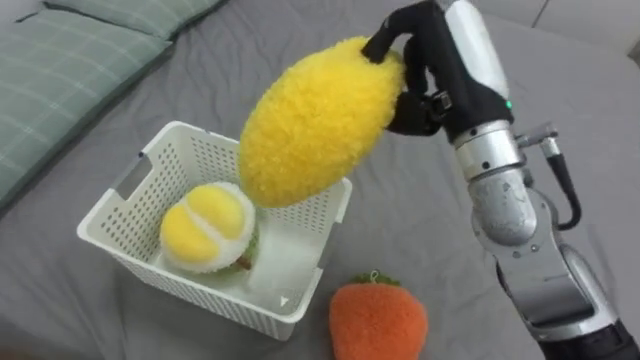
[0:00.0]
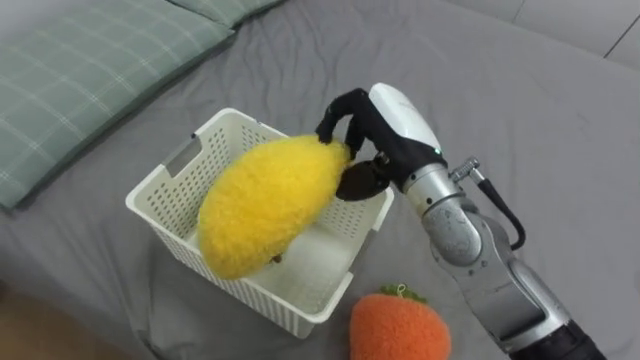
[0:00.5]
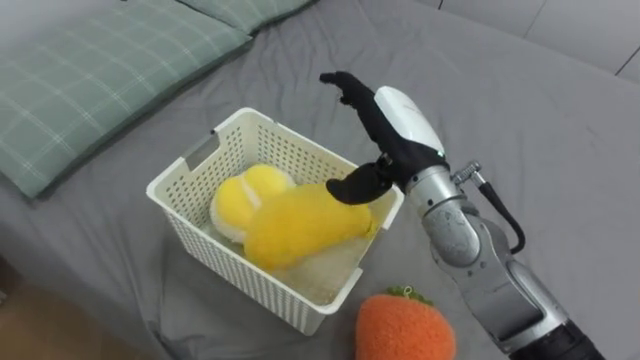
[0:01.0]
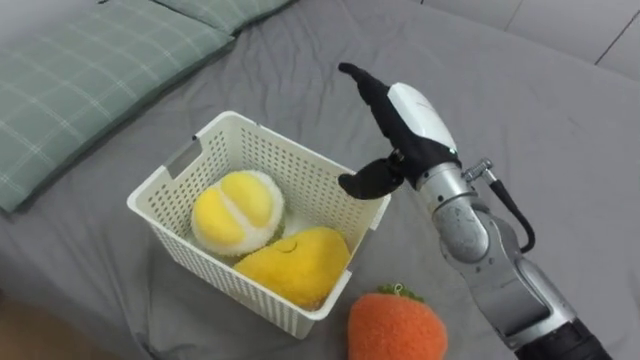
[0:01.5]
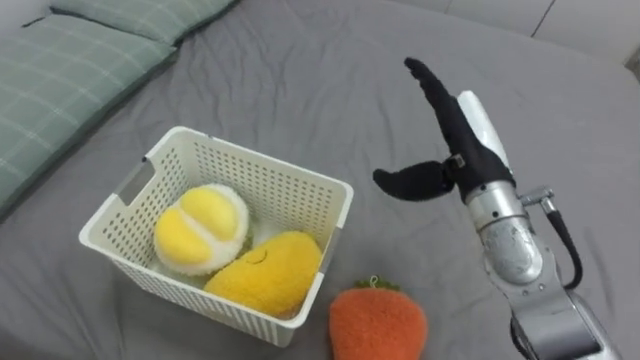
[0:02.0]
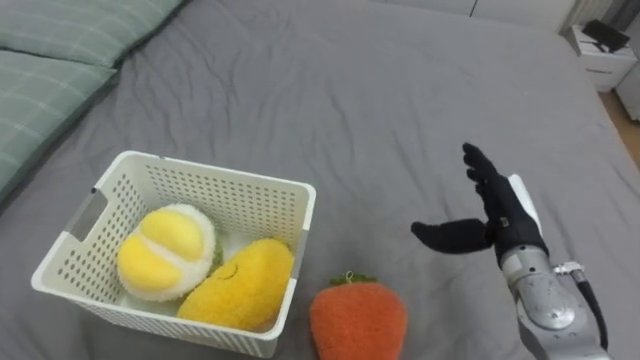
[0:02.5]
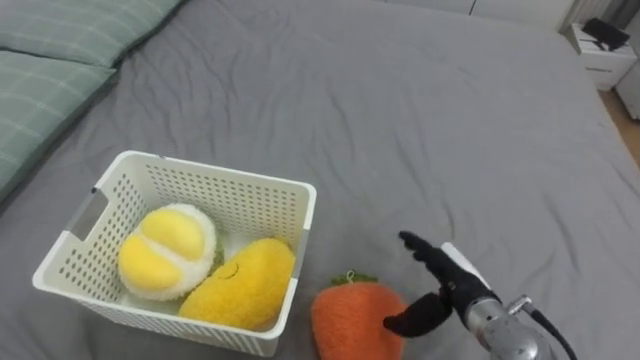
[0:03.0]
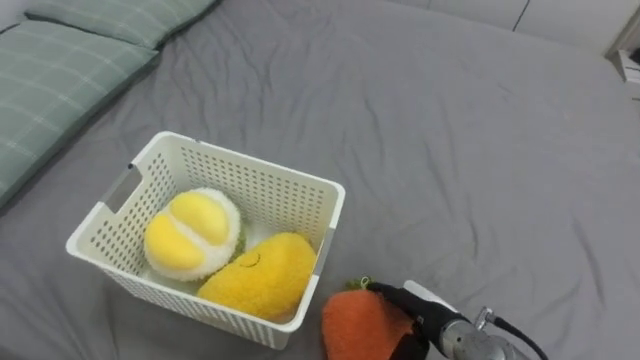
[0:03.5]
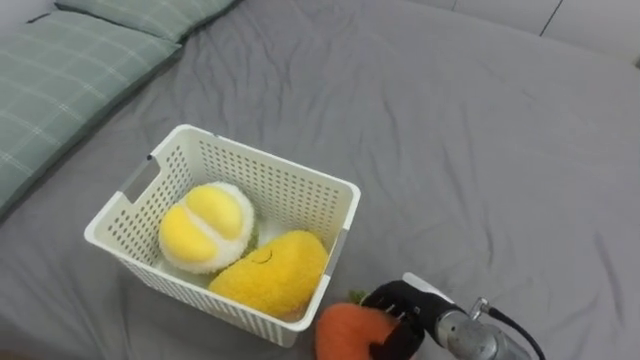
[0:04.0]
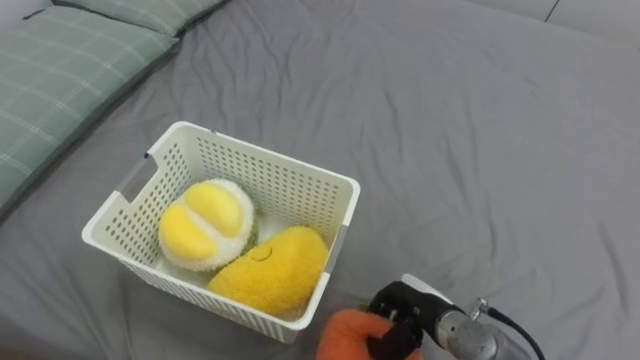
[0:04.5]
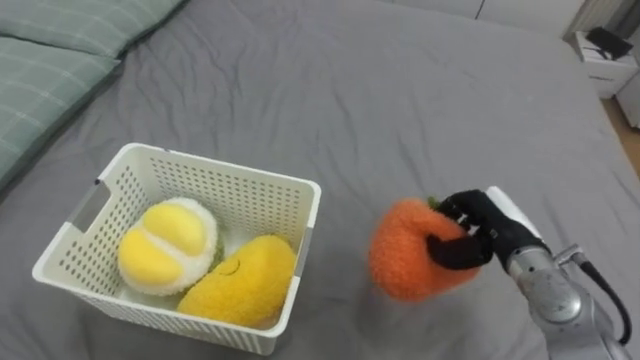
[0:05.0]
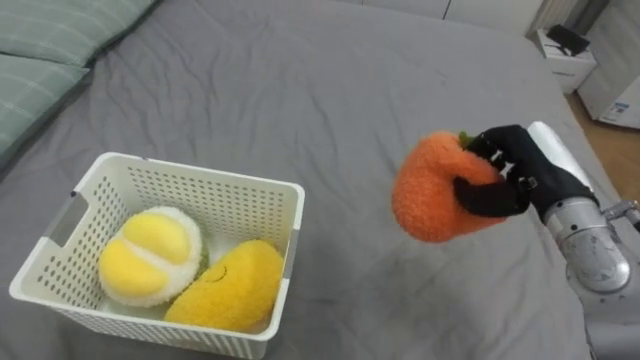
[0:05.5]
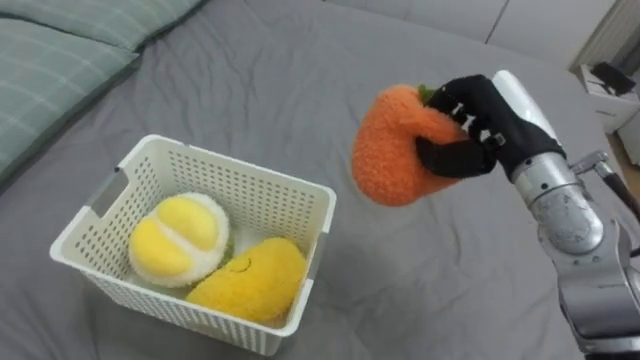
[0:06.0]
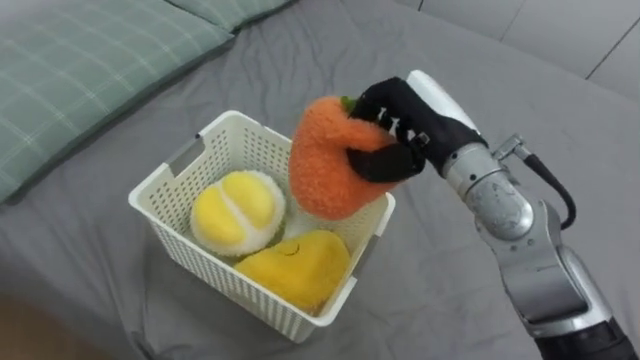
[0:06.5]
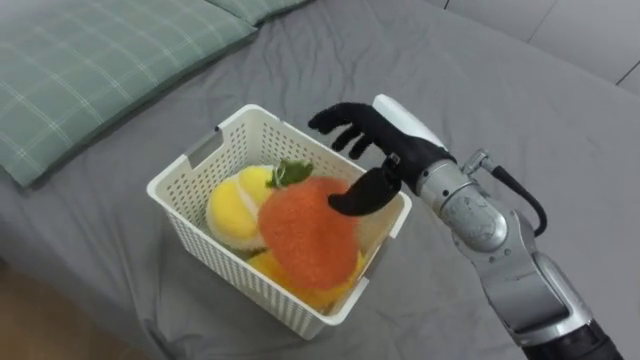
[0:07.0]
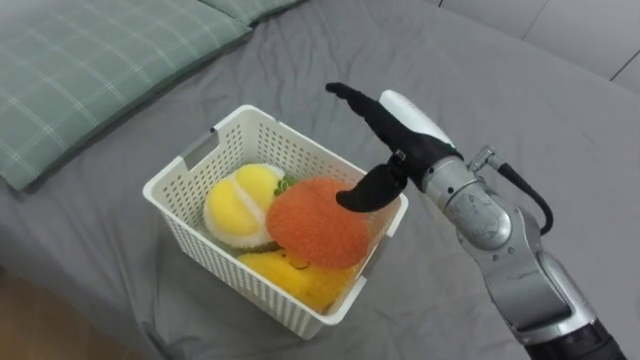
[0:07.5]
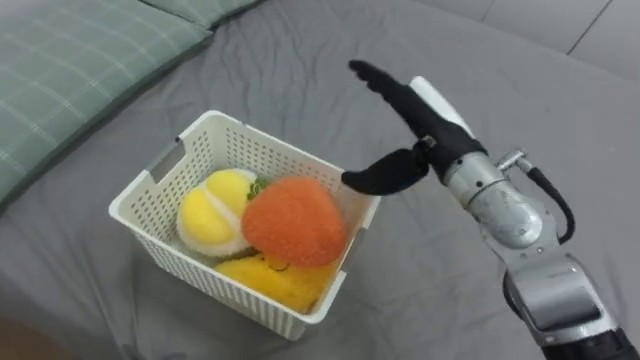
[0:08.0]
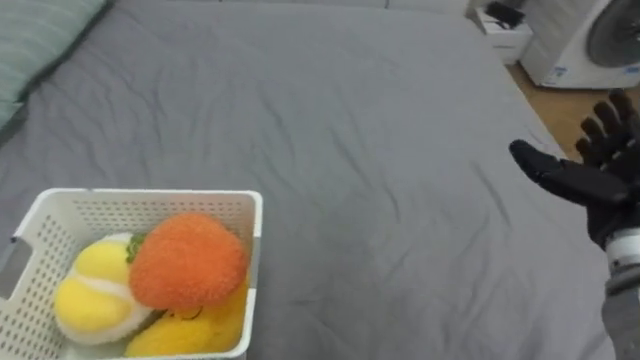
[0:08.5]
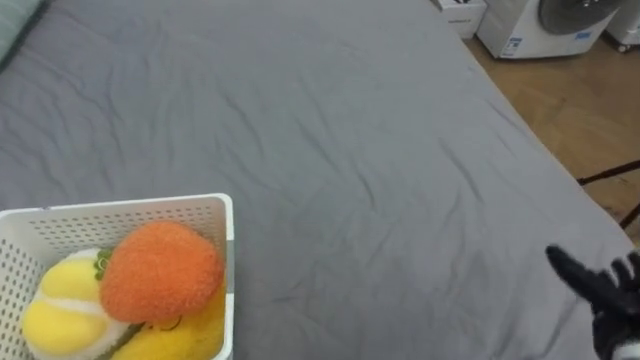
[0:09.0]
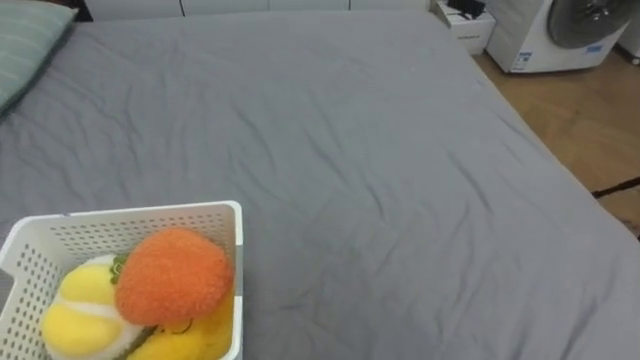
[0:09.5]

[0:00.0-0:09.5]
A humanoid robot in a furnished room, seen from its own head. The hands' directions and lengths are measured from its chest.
Task of the whole recording: Put the toys on the bed into the basket on the left.
0:00.0 to 0:02.0: The right hand shifts roughly 10 cm downward, and opens its fingers.
0:02.0 to 0:04.0: The right hand shifts roughly 25 cm downward and backward.
0:04.0 to 0:05.5: The right hand moves upward, to the right and forward, approximately 25 cm, and closes up.
0:05.5 to 0:07.5: The right hand travels to the left by some 15 cm, and opens up.

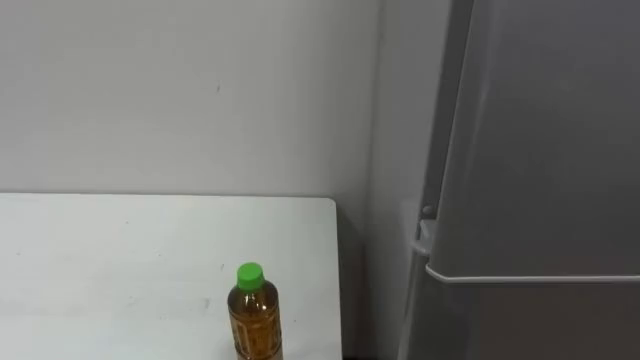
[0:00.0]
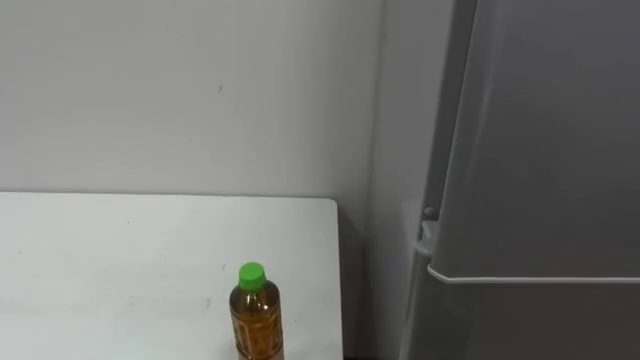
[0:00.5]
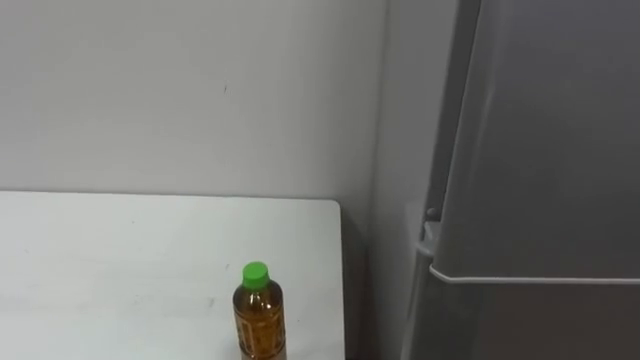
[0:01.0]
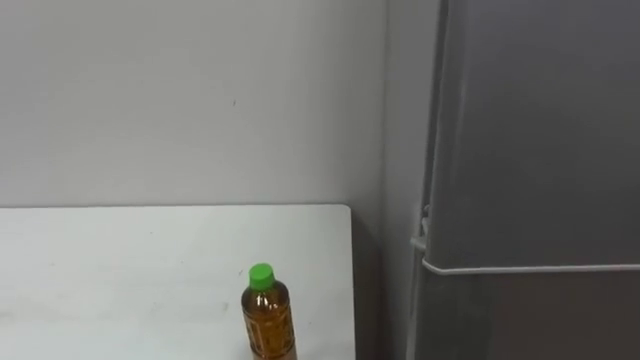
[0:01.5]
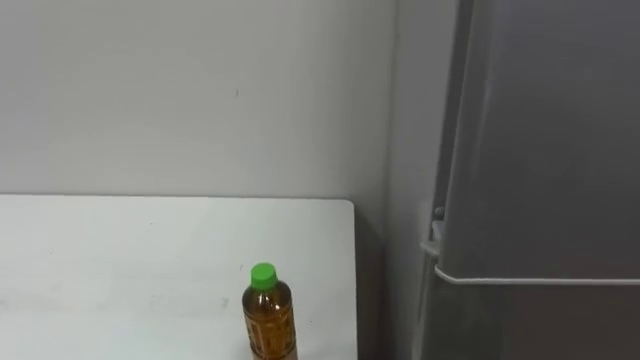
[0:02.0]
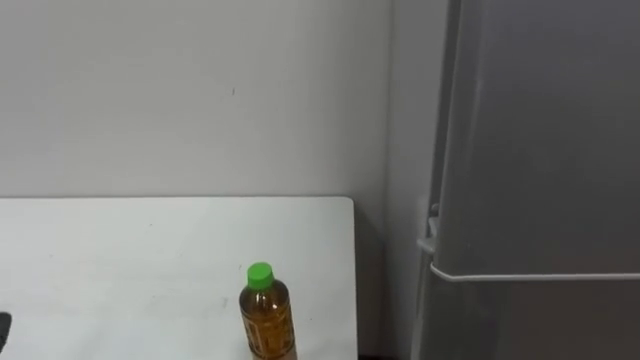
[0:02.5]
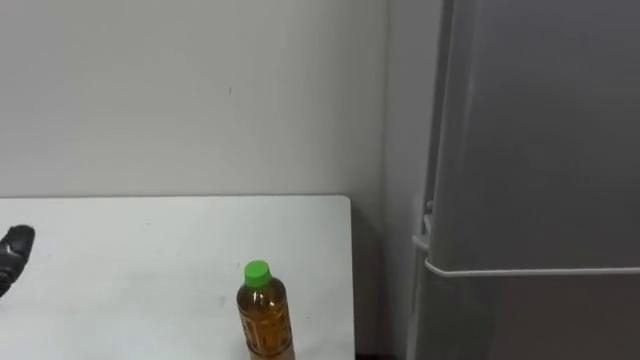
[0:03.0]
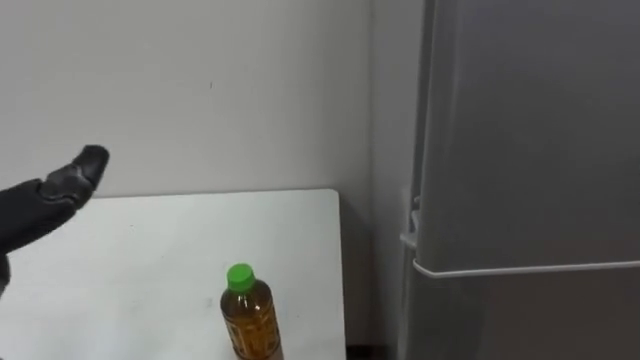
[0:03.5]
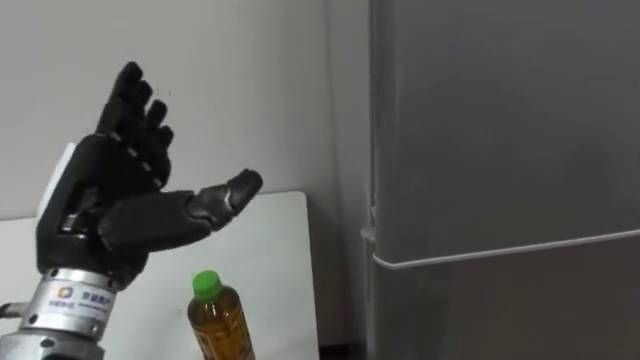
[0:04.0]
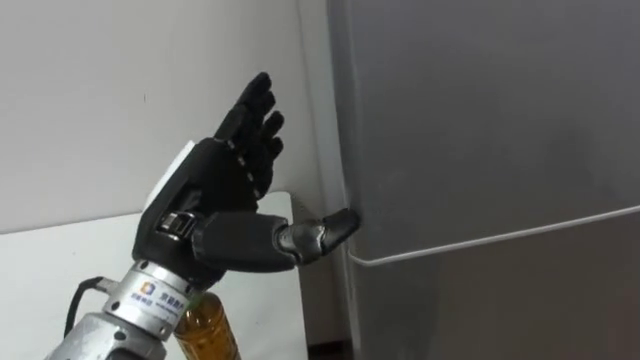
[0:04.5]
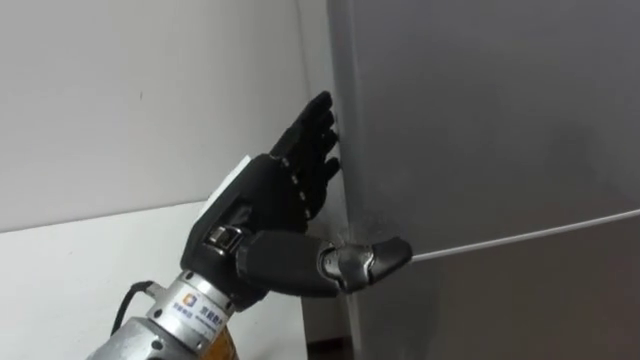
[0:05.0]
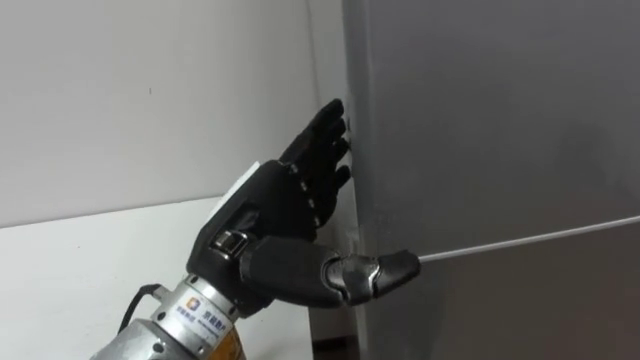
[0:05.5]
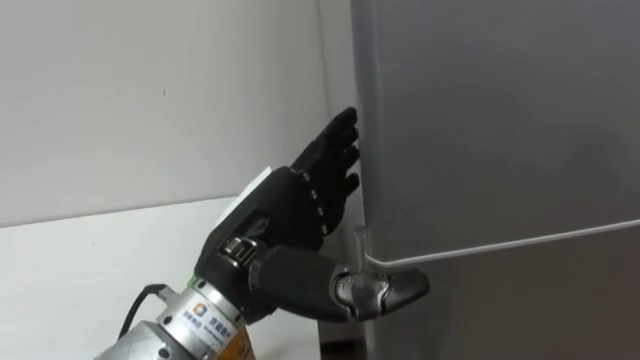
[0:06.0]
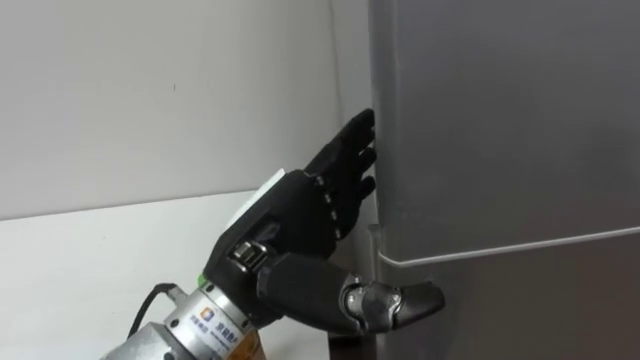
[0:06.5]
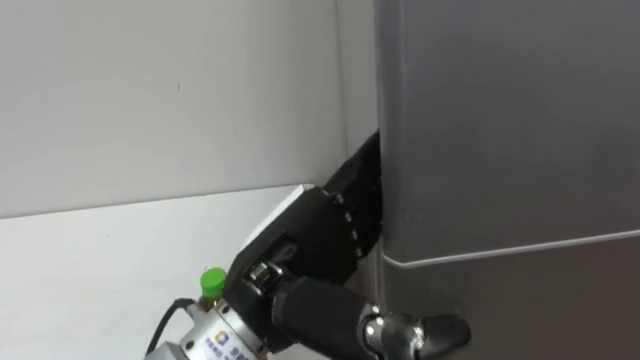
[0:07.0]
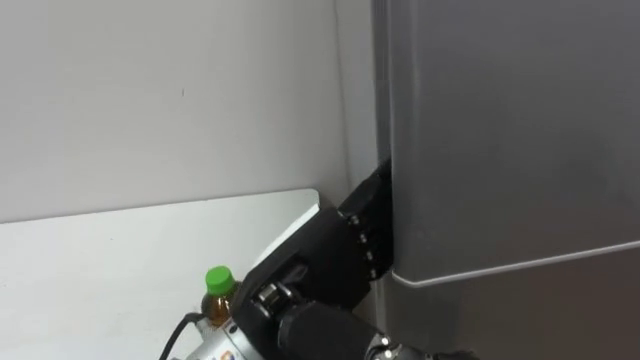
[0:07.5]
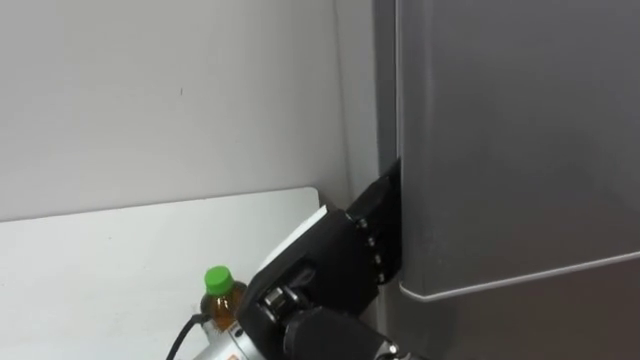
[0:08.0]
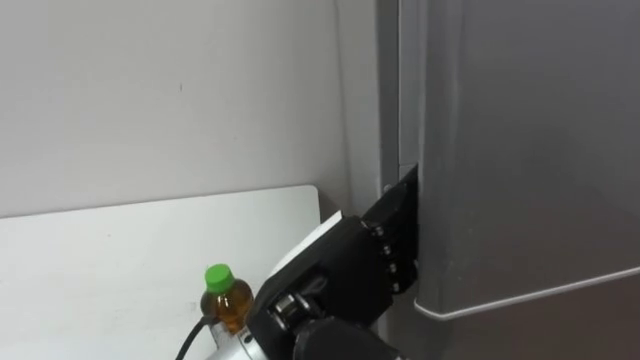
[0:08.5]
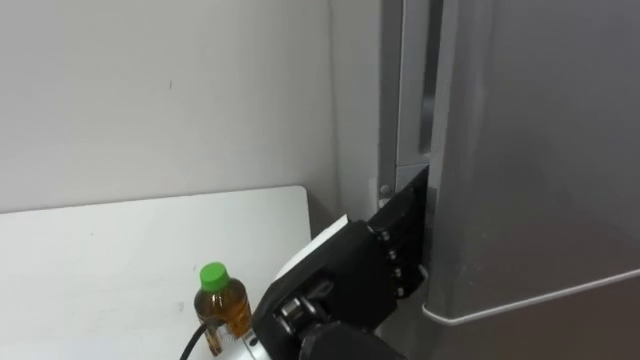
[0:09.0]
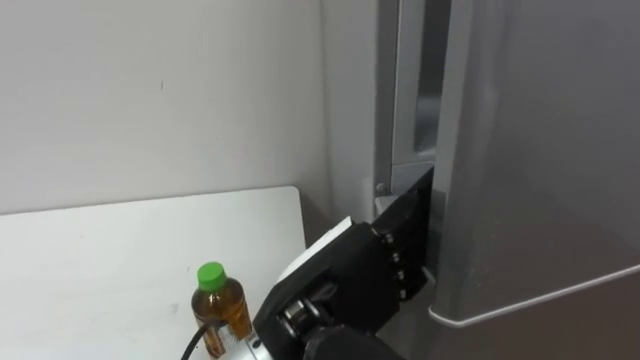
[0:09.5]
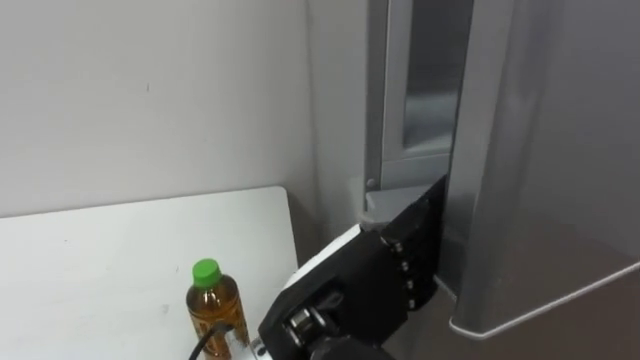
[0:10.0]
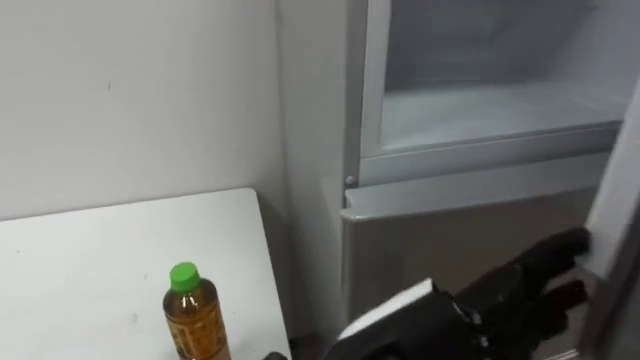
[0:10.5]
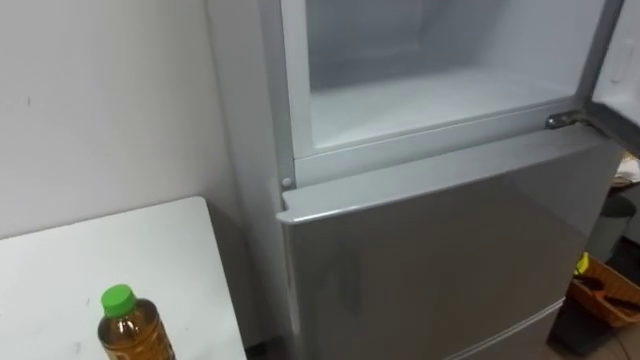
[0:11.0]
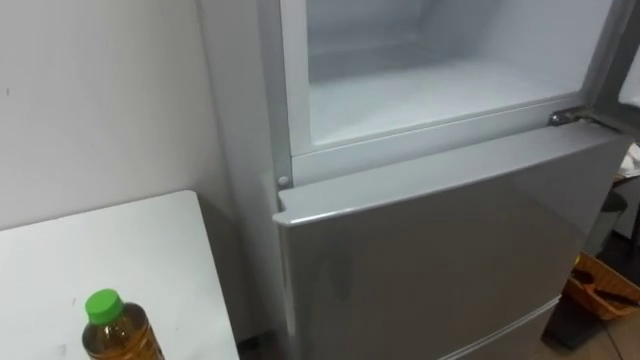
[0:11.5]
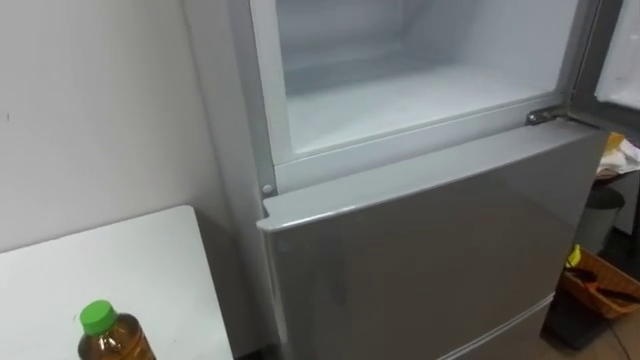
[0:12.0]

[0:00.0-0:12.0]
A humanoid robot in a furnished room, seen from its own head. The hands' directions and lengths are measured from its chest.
Task of the whole recording: Open the upper refrigerator door, put the drink from the table into the refrigerator, and then close the refrigerator door.
0:04.0 to 0:06.0: The left hand is displaced to the right by approximately 15 cm.
0:06.0 to 0:08.0: The left hand ends up about 5 cm from where it was.
